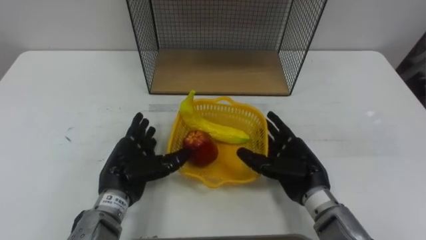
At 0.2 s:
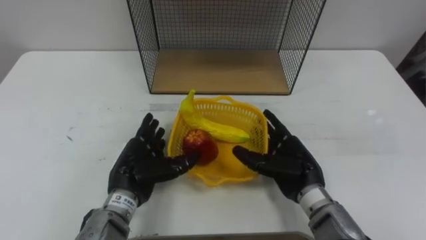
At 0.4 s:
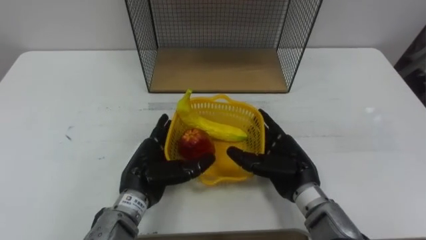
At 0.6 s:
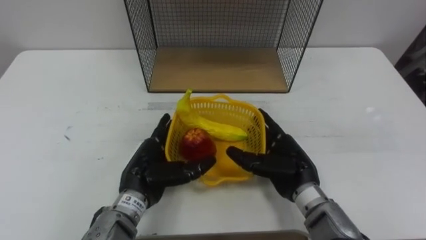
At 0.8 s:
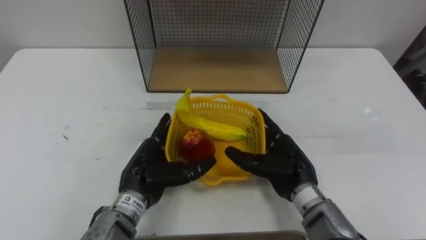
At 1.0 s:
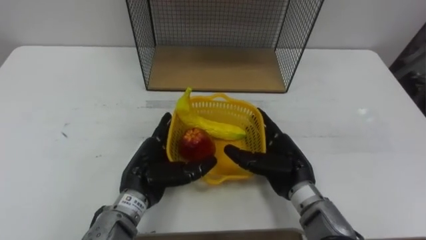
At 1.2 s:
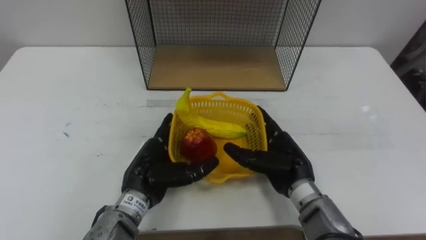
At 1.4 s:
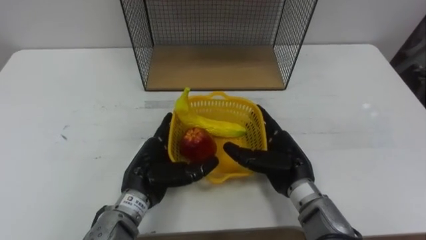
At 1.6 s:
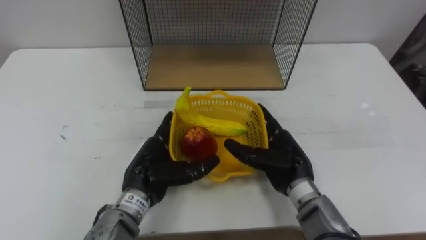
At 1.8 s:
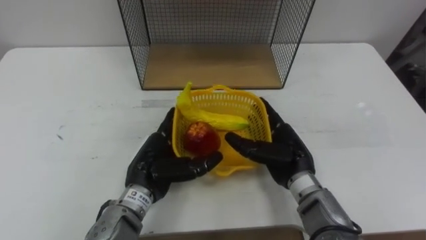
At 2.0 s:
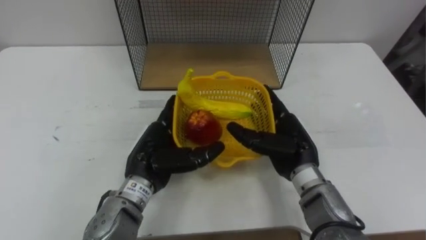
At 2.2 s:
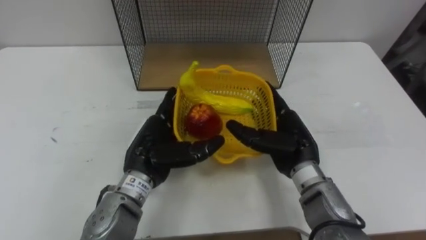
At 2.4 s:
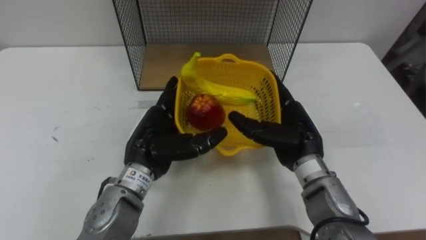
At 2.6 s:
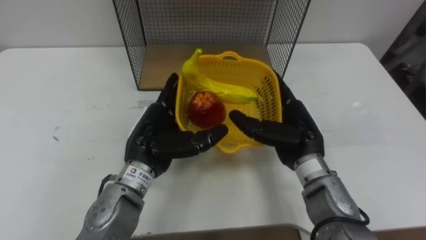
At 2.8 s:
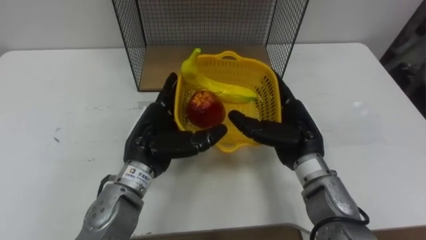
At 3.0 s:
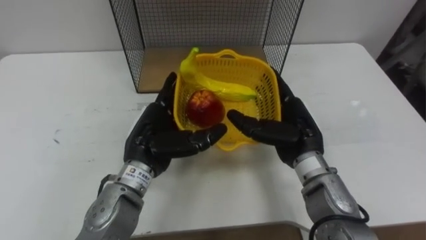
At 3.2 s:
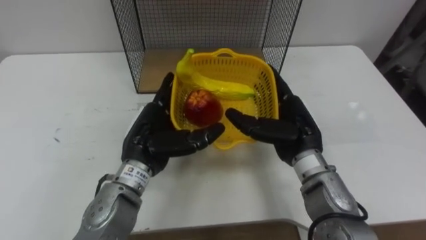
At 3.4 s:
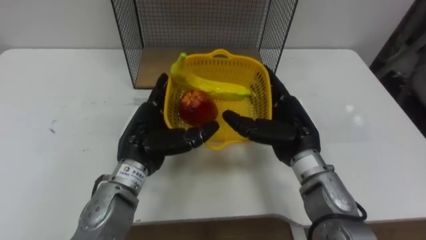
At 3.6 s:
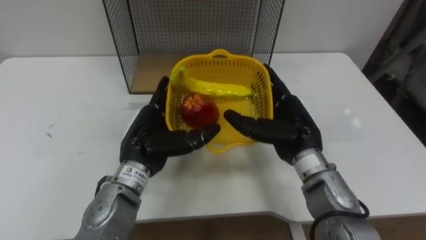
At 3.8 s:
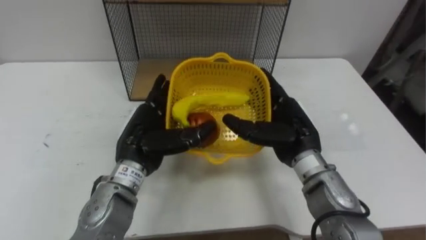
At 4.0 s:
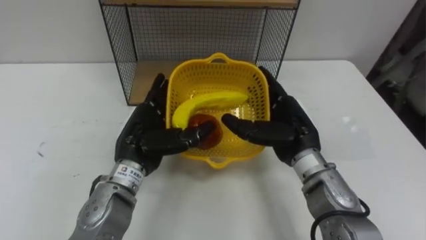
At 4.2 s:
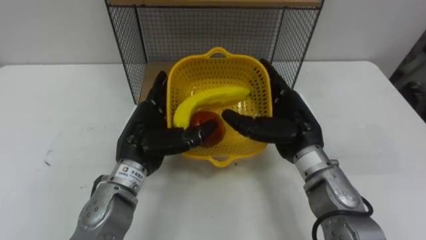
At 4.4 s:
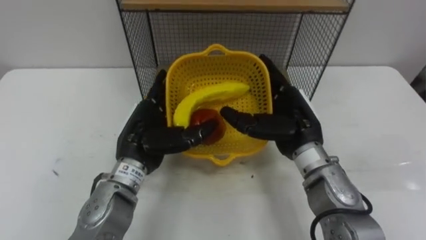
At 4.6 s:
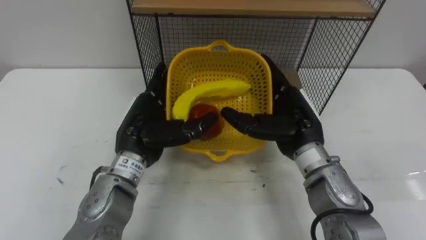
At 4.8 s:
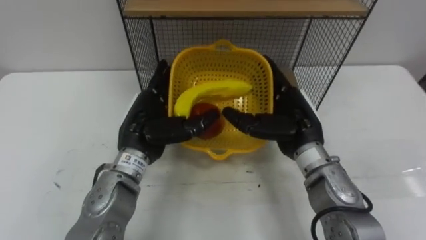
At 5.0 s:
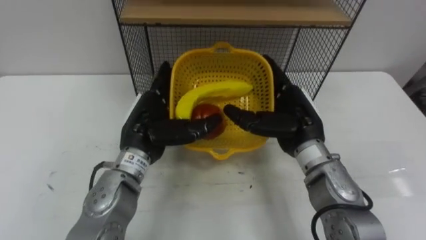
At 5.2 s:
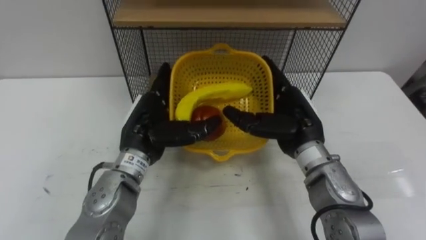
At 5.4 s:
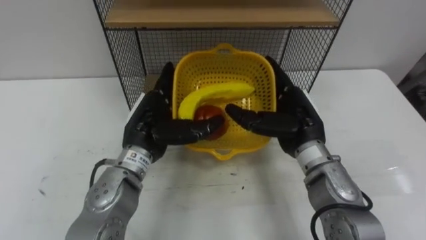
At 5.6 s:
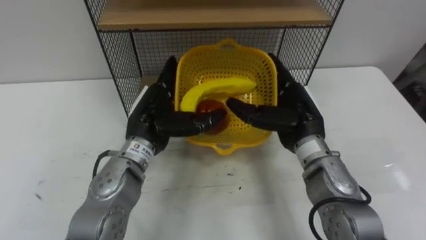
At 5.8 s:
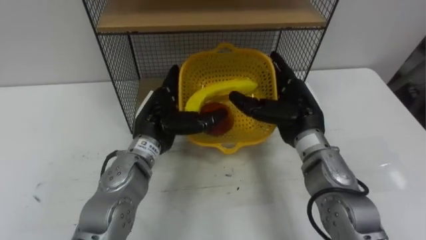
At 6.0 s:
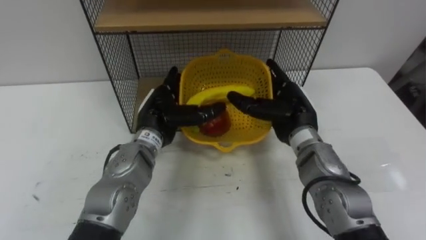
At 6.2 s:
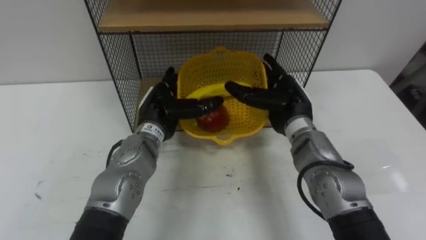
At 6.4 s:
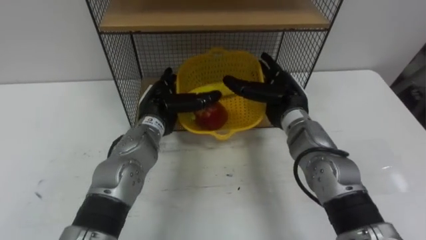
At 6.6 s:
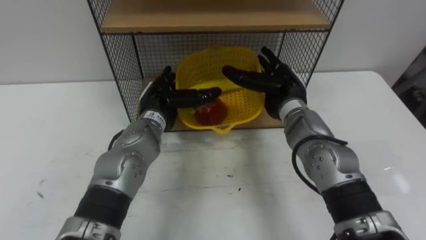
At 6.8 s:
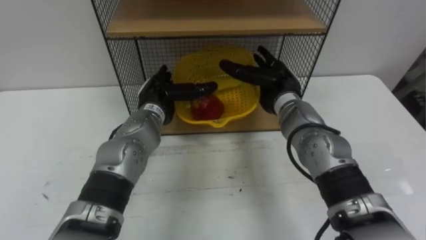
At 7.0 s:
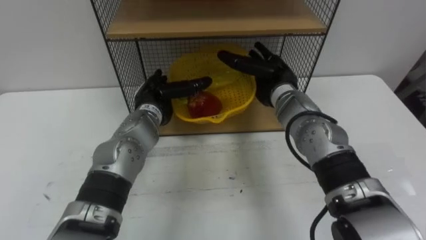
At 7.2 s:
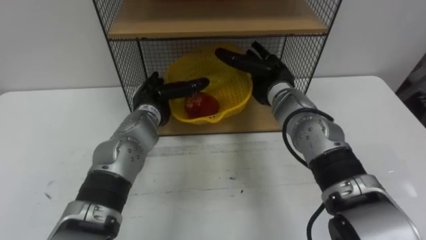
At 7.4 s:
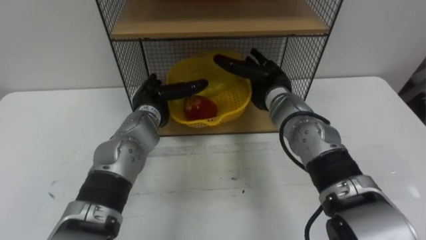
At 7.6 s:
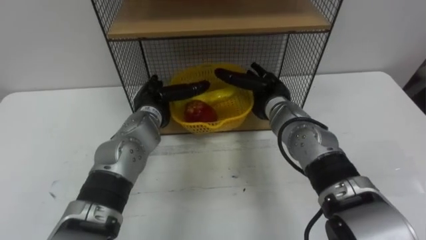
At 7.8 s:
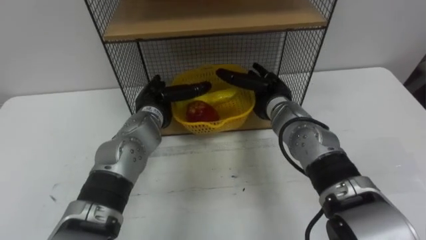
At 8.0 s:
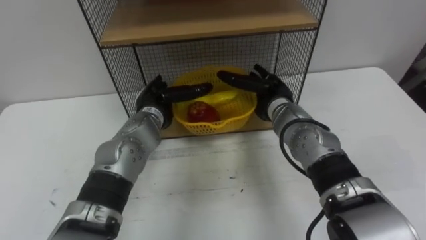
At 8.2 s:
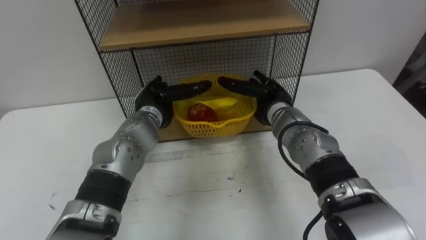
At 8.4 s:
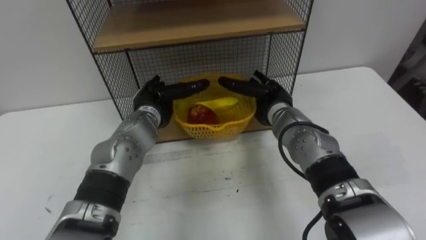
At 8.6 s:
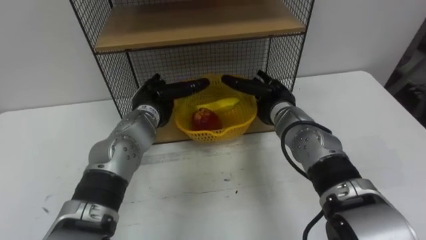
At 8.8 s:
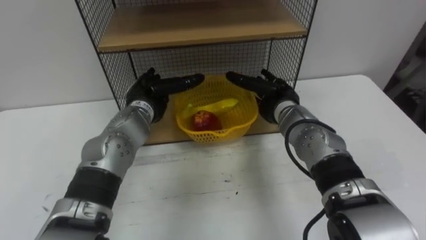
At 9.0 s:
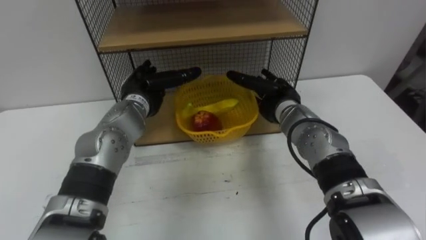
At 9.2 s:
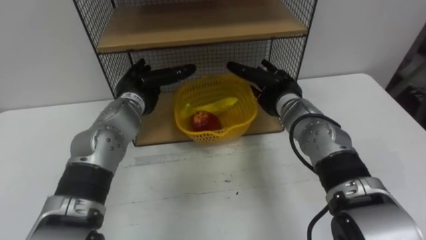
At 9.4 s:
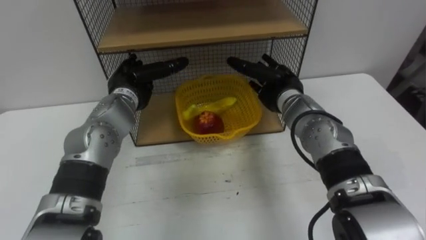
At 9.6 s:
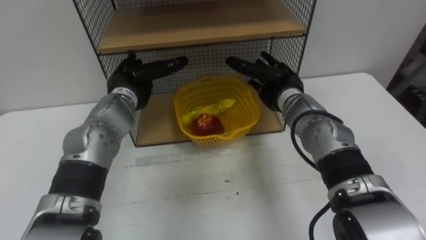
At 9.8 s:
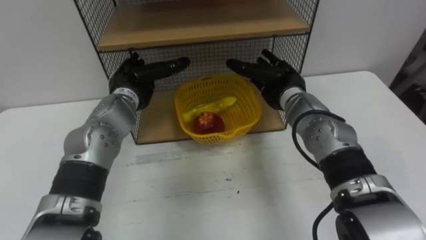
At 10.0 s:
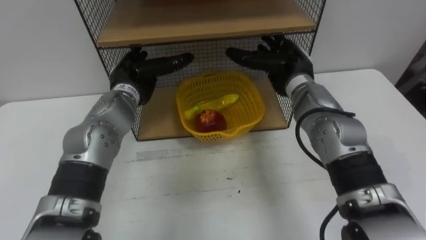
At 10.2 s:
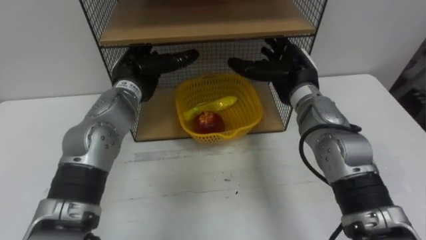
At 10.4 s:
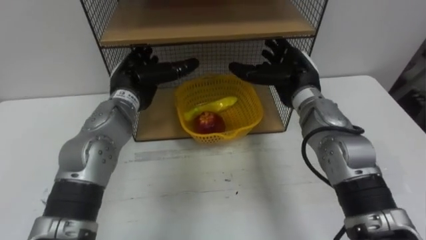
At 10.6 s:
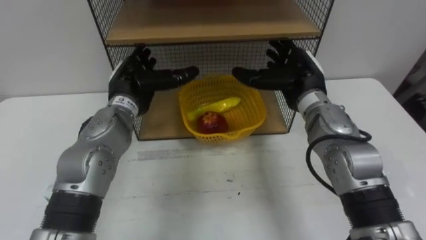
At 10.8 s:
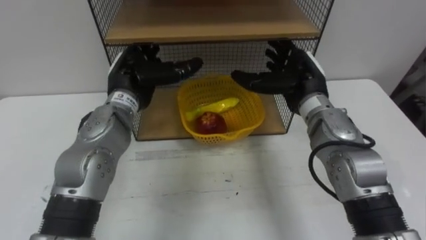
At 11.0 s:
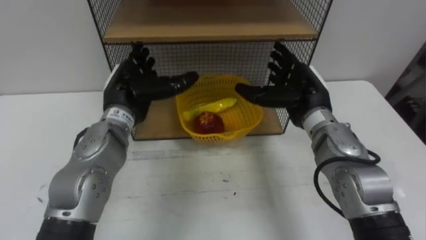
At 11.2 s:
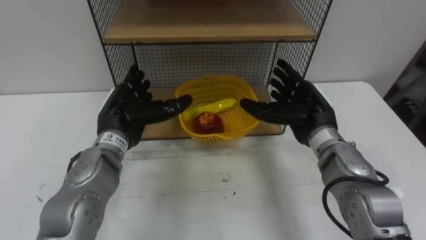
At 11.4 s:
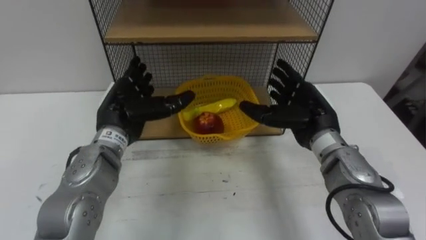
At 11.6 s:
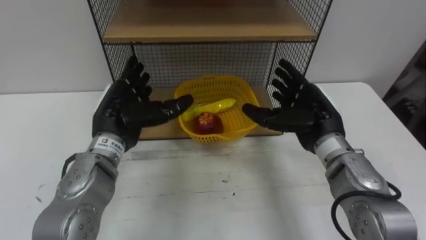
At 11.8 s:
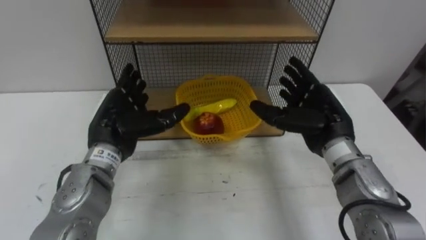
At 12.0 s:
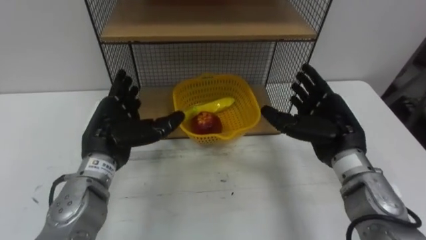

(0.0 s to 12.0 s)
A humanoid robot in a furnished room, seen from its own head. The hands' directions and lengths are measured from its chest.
Task of the whole recording: Put the fruit on the table into the basket, then place the basket on the shelf.
0.0 s - 1.6 s: The left hand moves to the right, some 5 cm.
1.6 s - 3.0 s: Both hands move upward, some 5 cm.
4.4 s - 6.0 s: The left hand shifts about 5 cm forward.
6.0 s - 7.6 s: The left hand shifts by approximately 5 cm, while the right hand shifts some 5 cm forward.
9.0 s - 10.4 s: The right hand goes roughly 5 cm upward.
10.4 s - 12.0 s: The left hand moves backward, some 10 cm. Meanwhile the right hand moves backward and to the right, some 10 cm.

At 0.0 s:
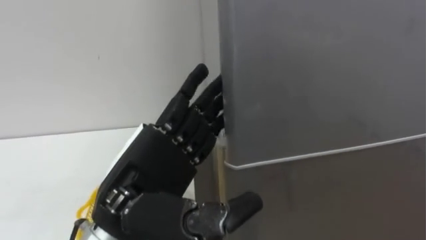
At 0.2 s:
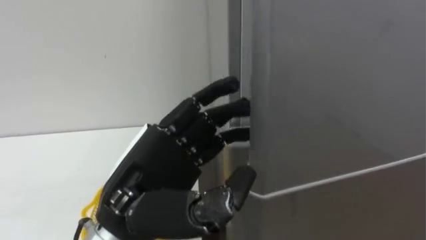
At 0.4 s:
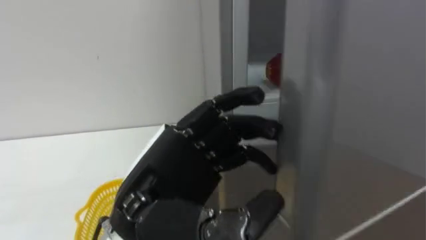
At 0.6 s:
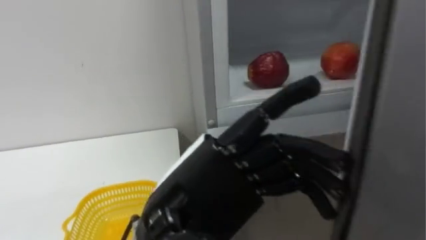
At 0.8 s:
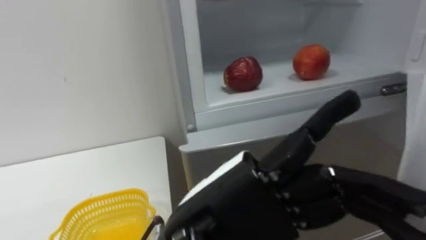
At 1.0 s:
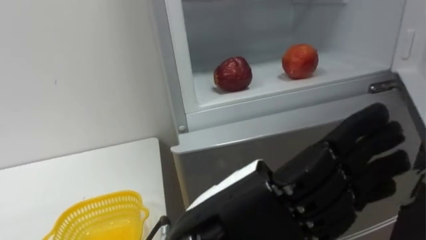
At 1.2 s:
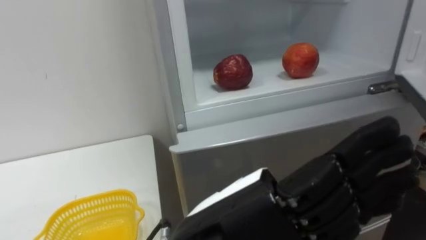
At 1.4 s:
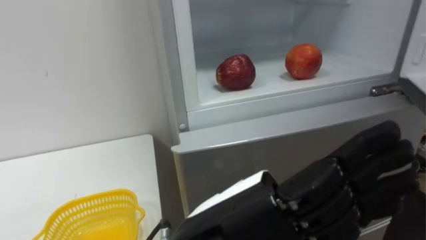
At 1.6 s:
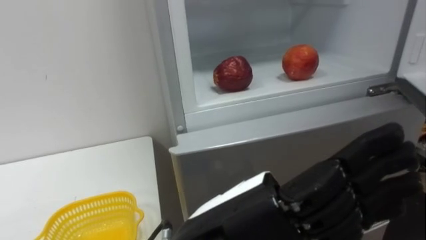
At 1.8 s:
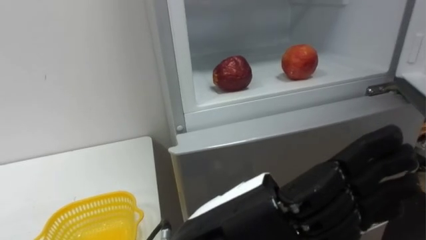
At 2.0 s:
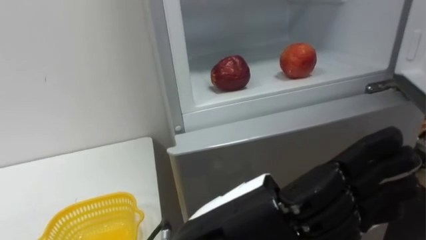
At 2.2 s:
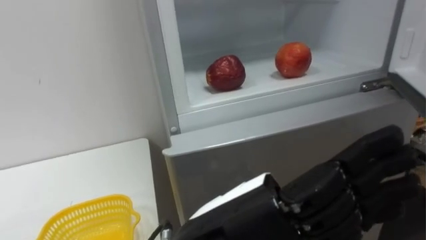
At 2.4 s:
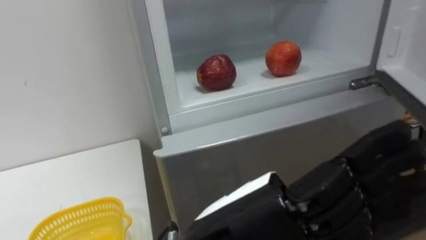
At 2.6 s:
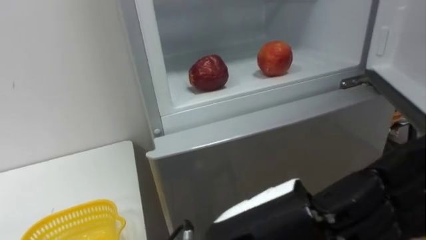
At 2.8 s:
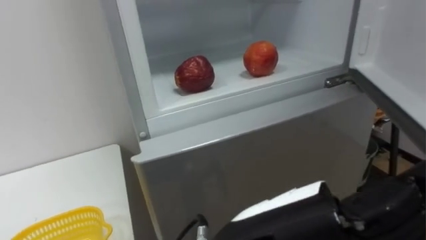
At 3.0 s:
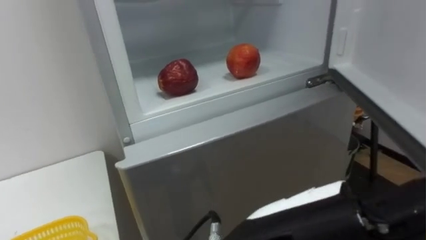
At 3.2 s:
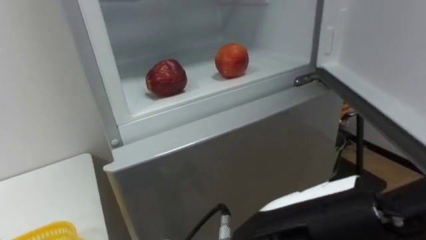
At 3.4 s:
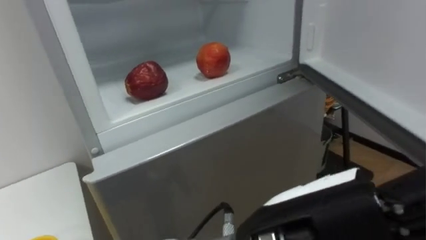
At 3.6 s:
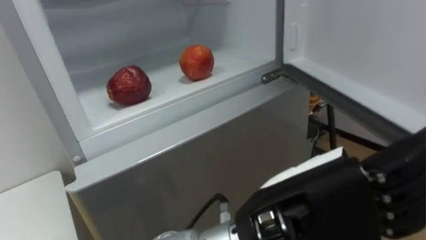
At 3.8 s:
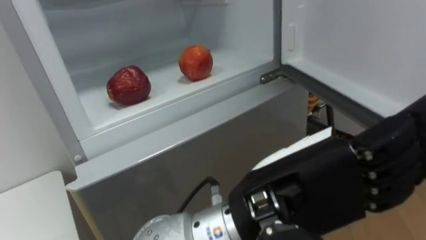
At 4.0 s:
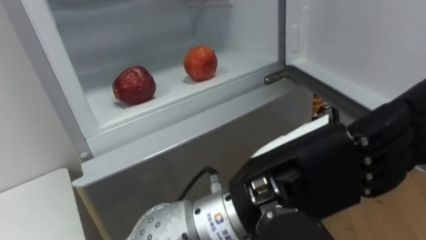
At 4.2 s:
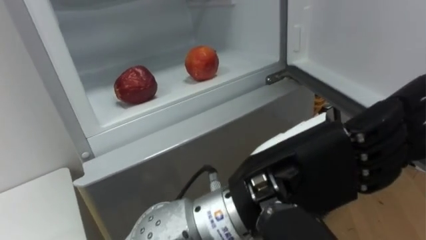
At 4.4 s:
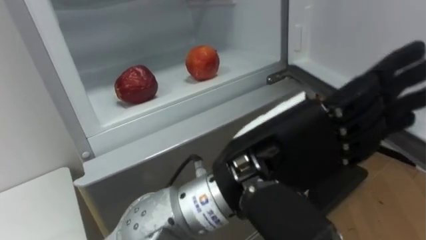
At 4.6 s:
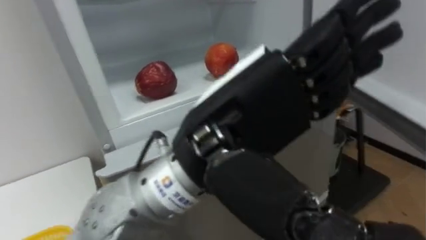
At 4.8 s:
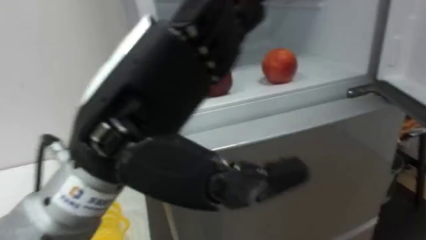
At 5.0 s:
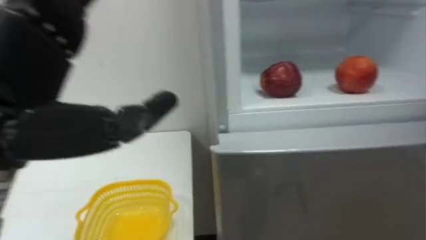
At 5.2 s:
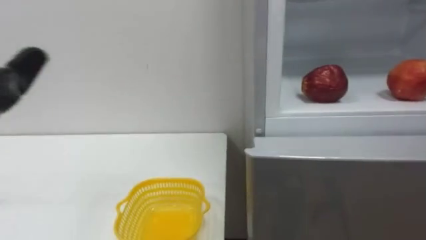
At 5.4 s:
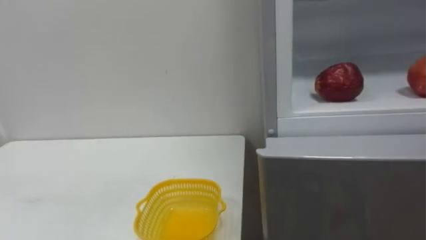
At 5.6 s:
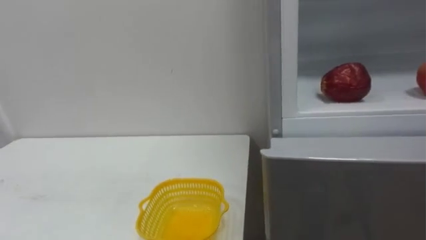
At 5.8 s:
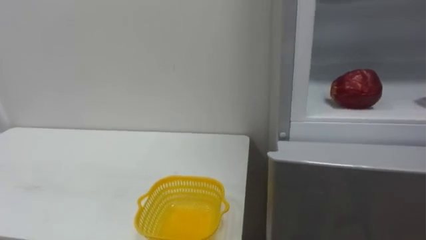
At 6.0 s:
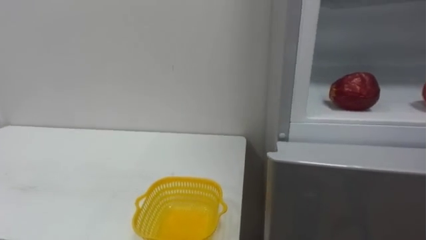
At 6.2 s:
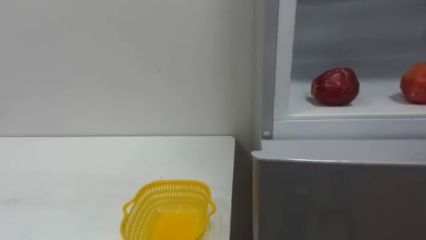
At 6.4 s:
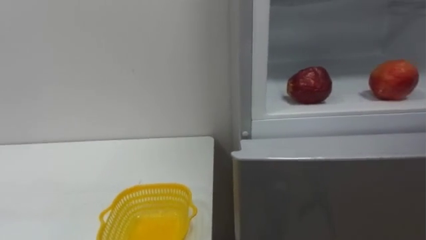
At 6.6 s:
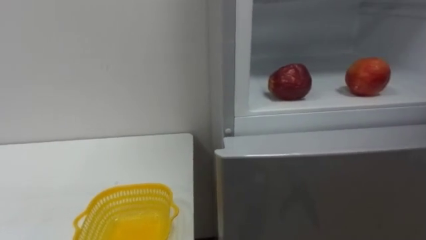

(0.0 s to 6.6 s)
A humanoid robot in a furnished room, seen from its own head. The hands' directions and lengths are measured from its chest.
Task of the whole recording: Open the refrigerator door, take out the apple and the pomegranate, place them in the fruit basket on the left, and close the refrigerator door.
0.0 s - 1.6 s: The left hand is displaced to the right and backward by about 10 cm.
1.6 s - 3.2 s: The left hand heads to the right, covering roughly 5 cm.
3.2 s - 5.0 s: The left hand travels to the left by roughly 25 cm.
